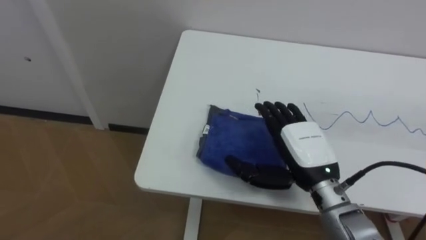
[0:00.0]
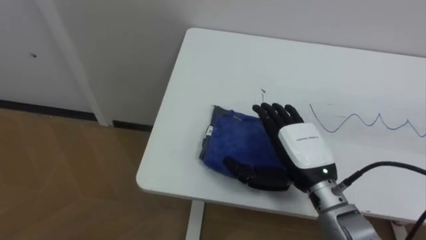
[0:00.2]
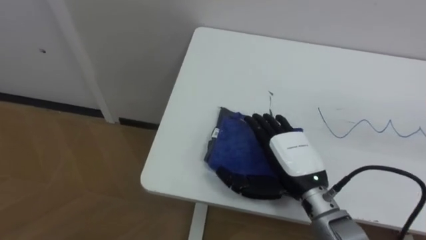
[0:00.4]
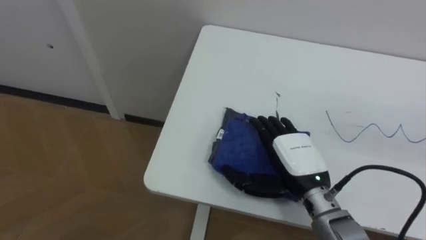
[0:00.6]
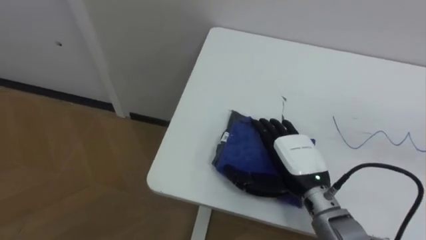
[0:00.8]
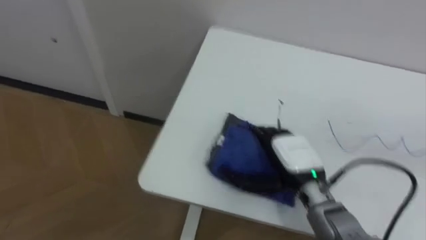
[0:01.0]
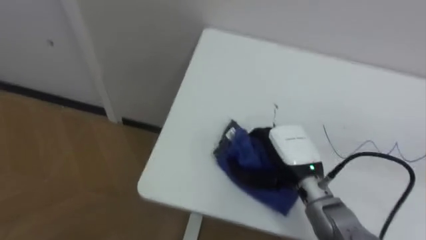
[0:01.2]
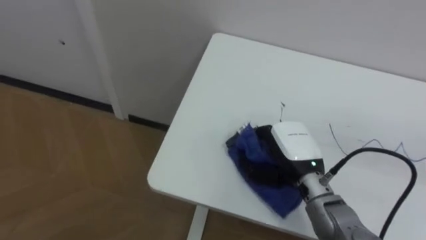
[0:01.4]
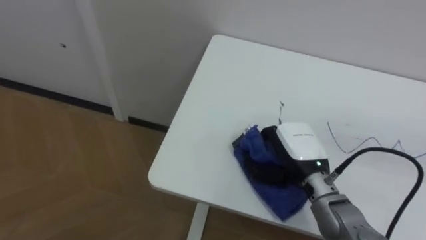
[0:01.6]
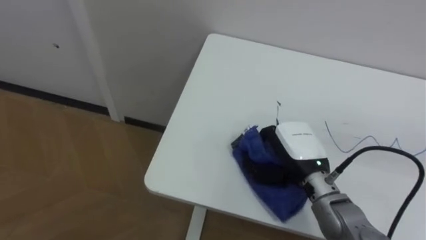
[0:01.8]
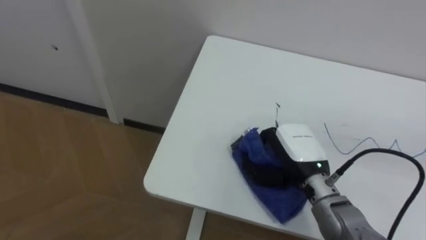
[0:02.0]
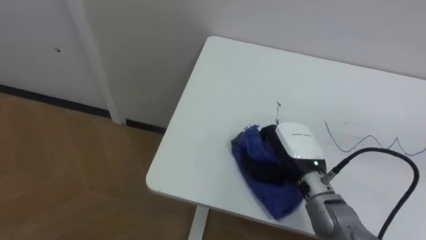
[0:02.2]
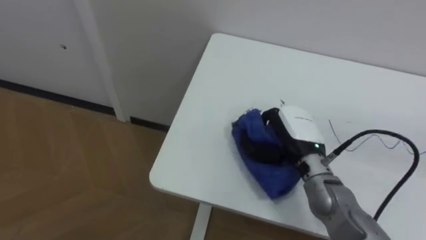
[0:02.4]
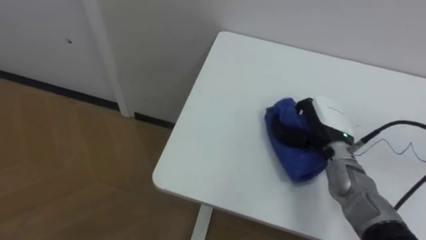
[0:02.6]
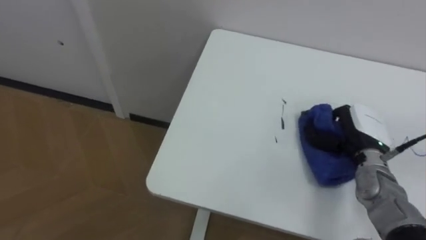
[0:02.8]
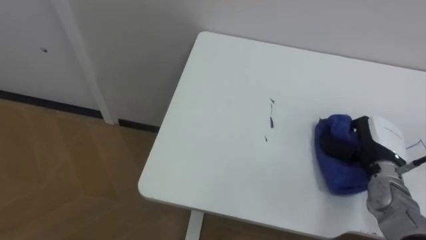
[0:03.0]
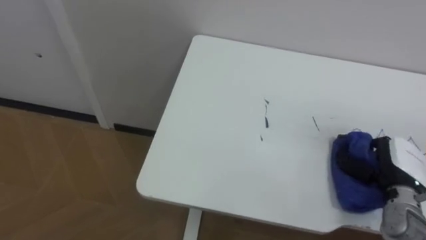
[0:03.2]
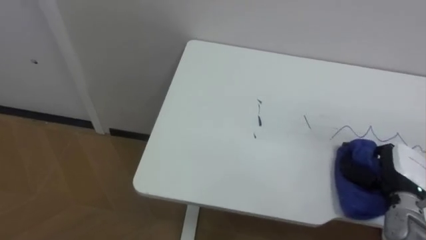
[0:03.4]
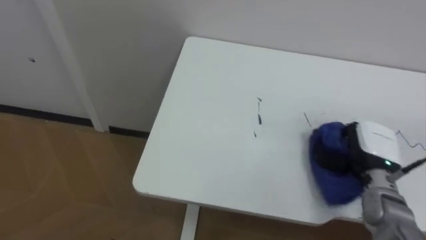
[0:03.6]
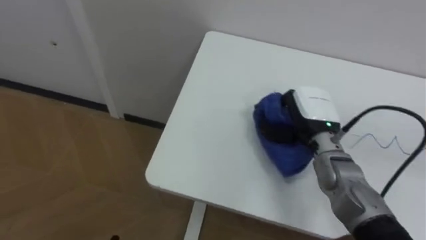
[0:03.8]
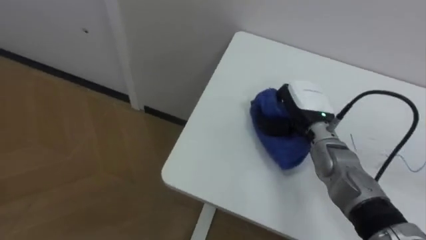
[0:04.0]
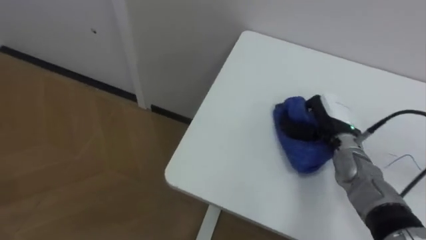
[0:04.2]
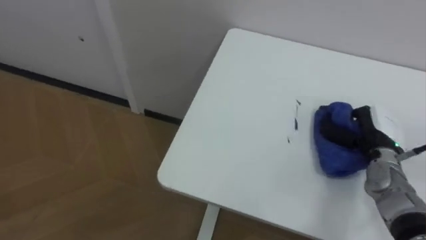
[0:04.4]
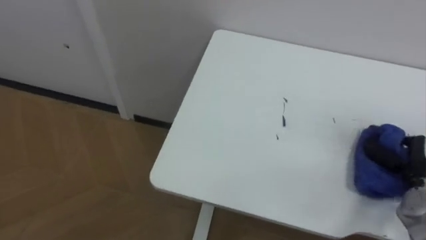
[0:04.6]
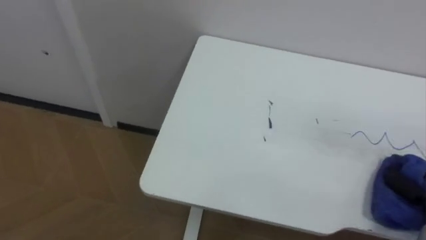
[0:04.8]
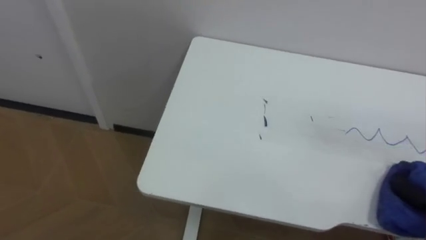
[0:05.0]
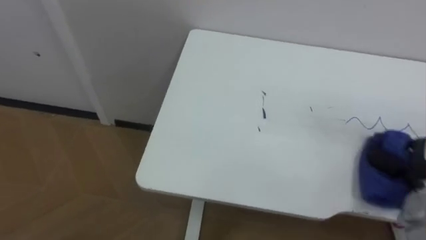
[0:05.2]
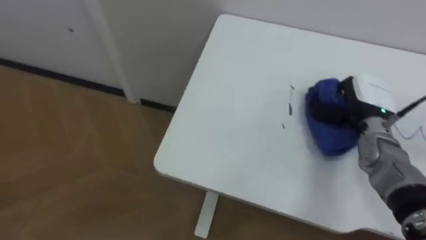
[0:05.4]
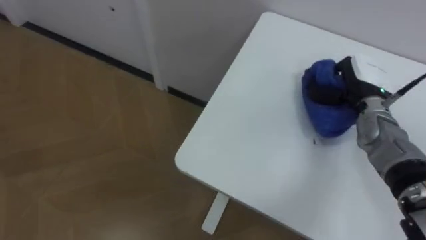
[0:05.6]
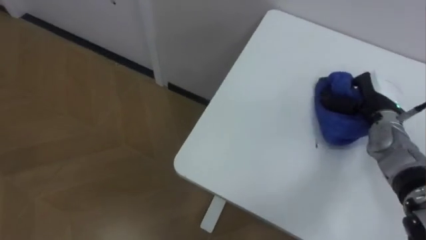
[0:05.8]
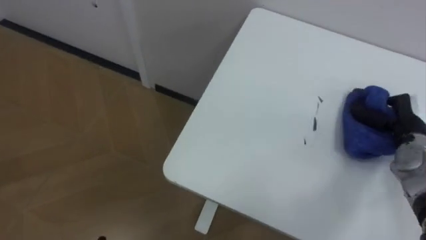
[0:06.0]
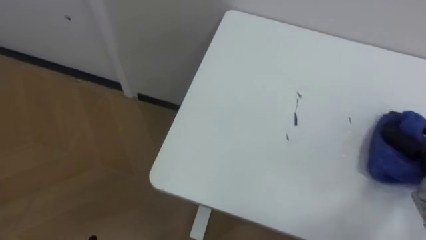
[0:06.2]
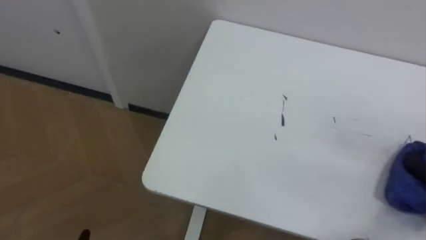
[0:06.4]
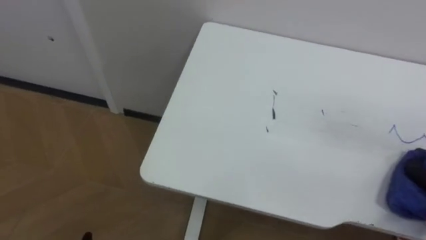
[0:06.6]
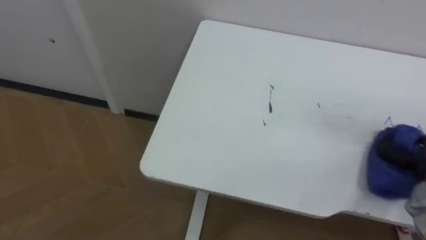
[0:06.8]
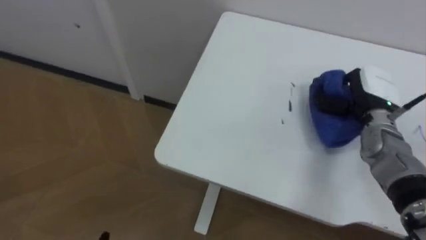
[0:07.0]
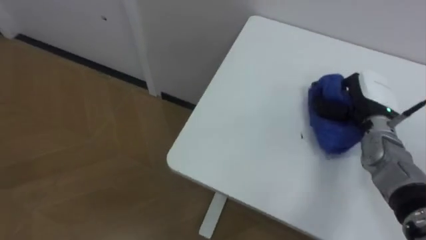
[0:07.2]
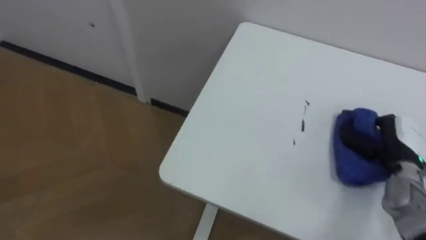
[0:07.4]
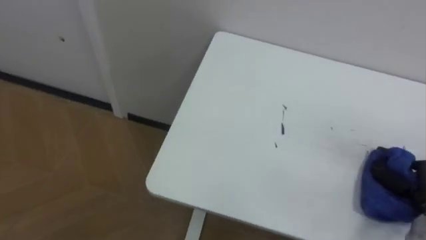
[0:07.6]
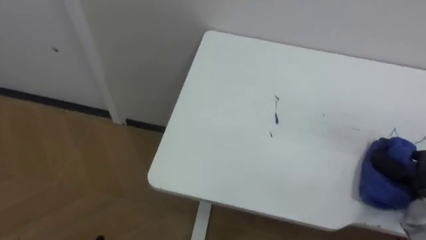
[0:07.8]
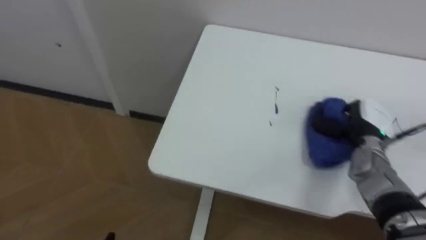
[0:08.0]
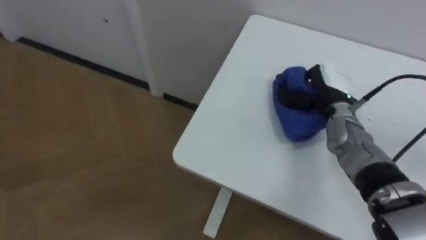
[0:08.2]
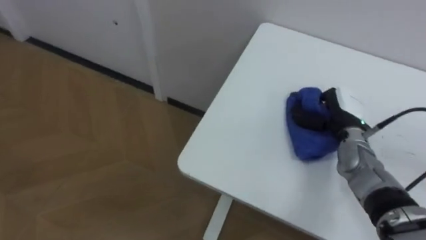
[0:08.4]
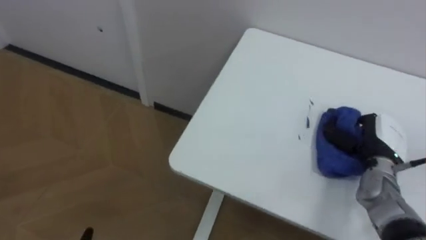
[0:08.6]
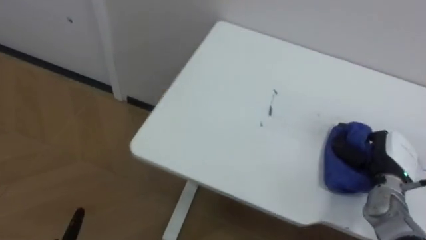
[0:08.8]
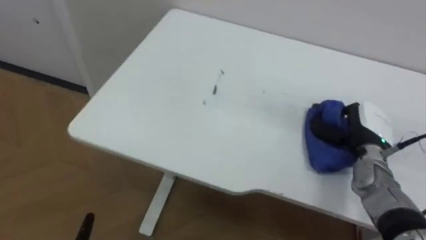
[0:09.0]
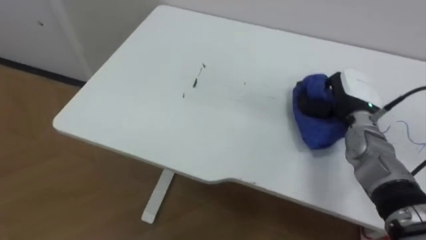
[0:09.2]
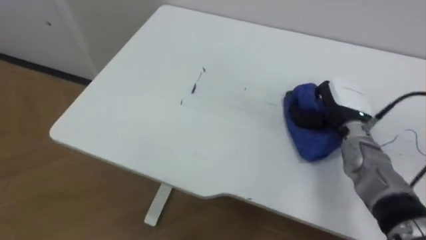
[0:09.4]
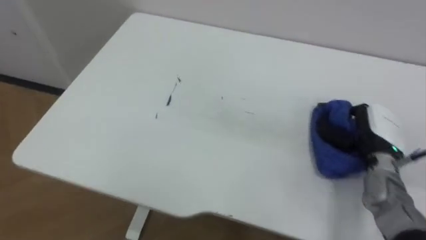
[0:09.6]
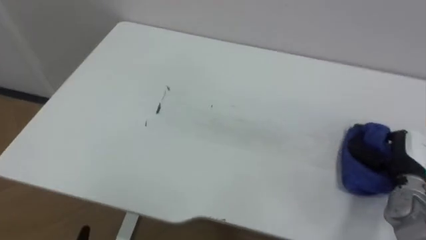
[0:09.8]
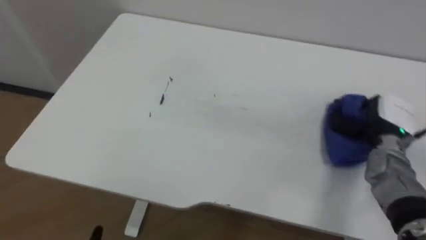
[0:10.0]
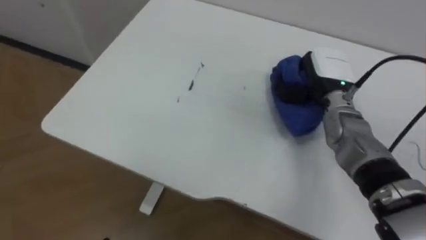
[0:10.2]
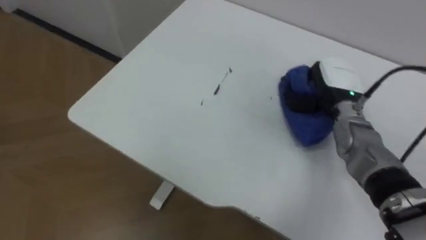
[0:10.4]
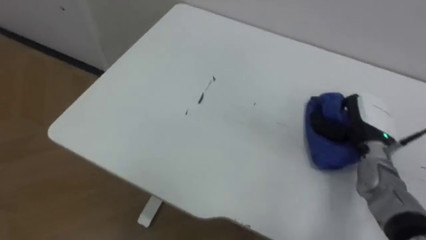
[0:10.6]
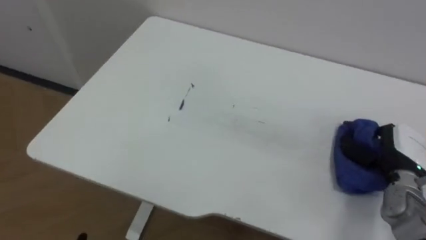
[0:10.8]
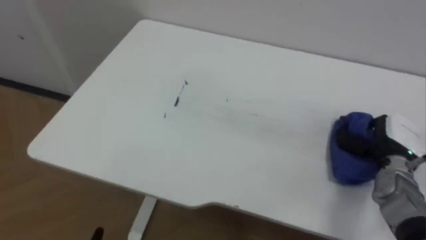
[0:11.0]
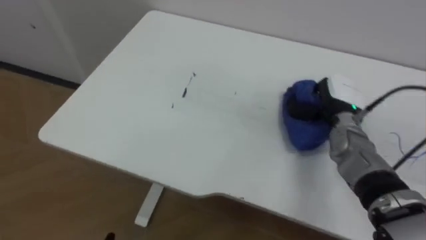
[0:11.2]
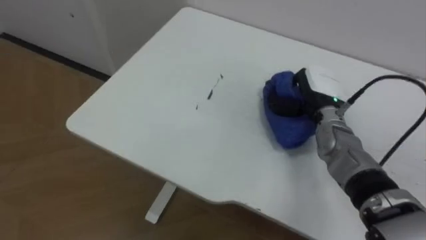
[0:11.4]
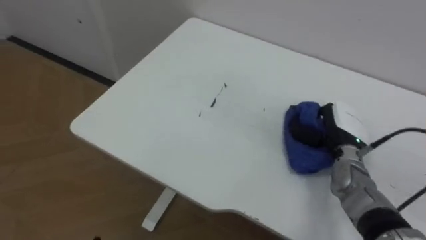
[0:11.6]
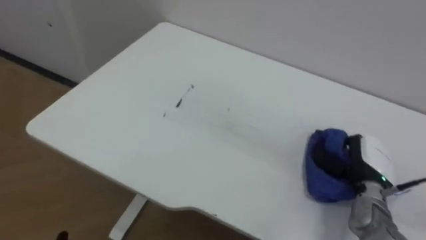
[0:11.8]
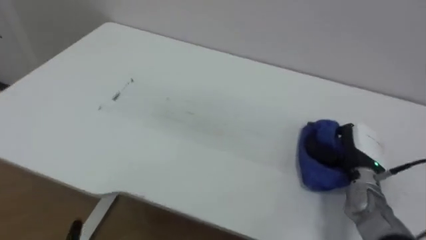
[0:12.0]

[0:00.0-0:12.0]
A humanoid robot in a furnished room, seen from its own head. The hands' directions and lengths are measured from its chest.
Task of the whole recording: Wipe the blue pen marks off the table with the rag.
0:00.0 to 0:01.6: The right hand closes up.
0:01.6 to 0:03.0: The right hand is displaced to the right by about 15 cm.
0:03.0 to 0:04.4: The right hand moves some 15 cm to the left and comes back.
0:09.0 to 0:10.4: The right hand swings left and right, approximately 15 cm each way, with 2 reversals.
0:10.4 to 0:12.0: The right hand swings left and right, some 15 cm each way, with 2 reversals.

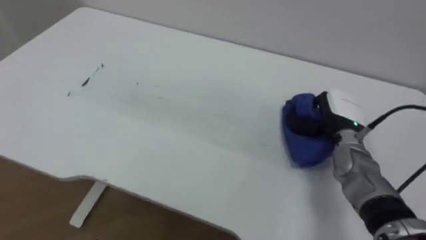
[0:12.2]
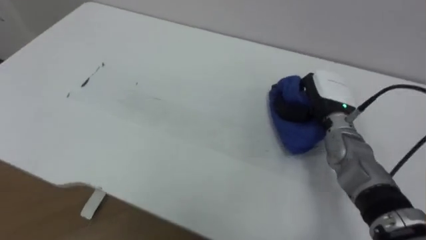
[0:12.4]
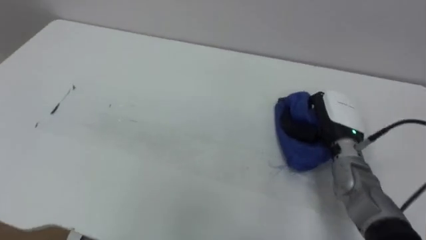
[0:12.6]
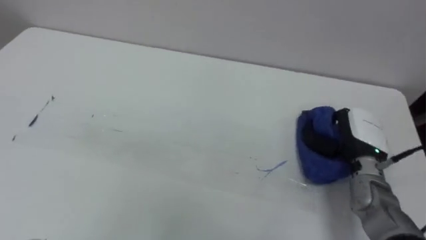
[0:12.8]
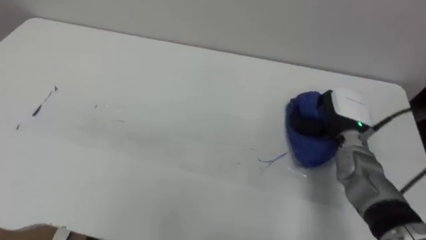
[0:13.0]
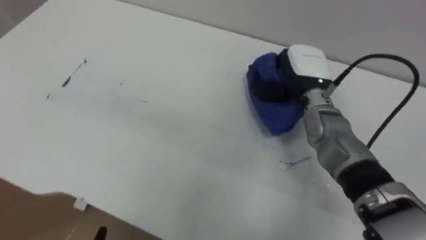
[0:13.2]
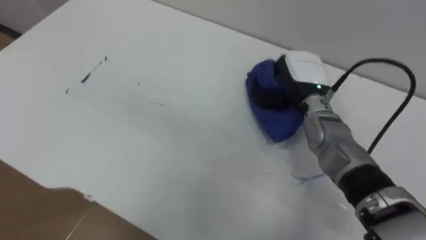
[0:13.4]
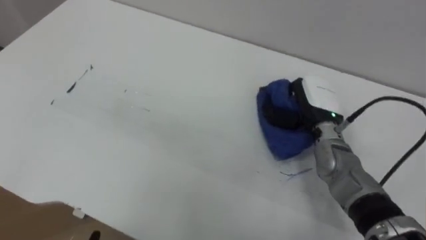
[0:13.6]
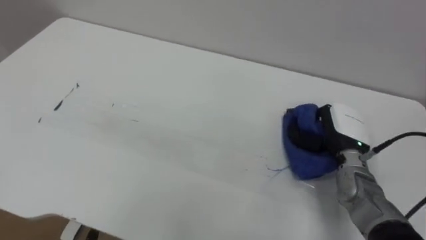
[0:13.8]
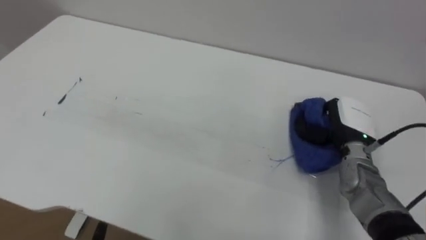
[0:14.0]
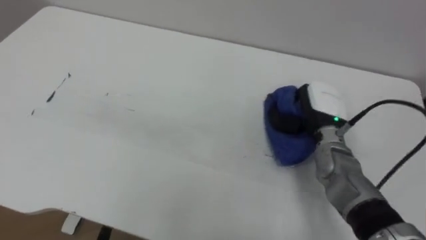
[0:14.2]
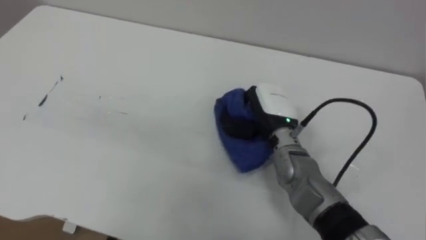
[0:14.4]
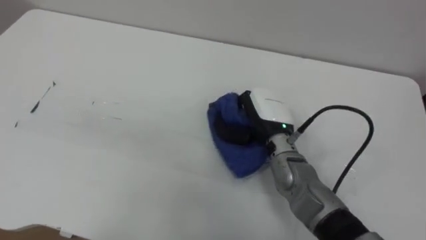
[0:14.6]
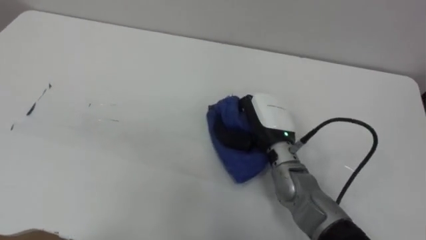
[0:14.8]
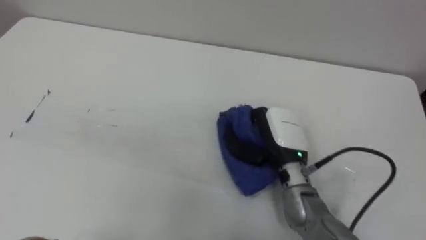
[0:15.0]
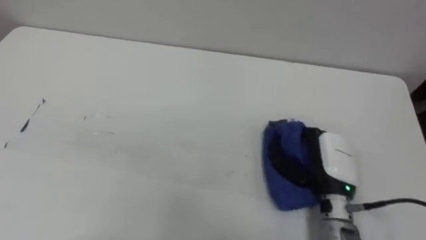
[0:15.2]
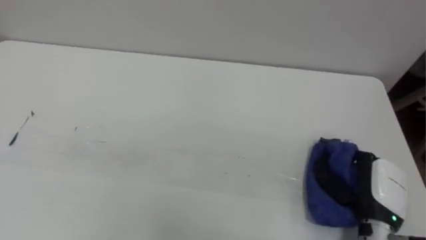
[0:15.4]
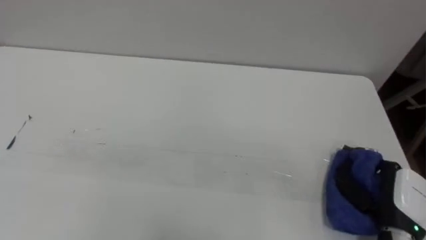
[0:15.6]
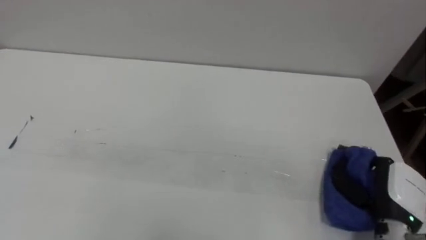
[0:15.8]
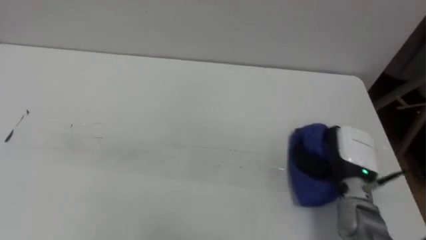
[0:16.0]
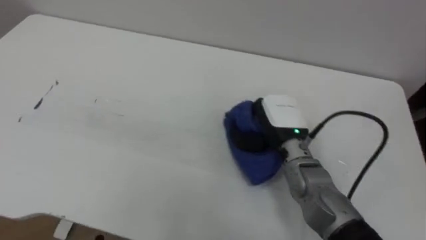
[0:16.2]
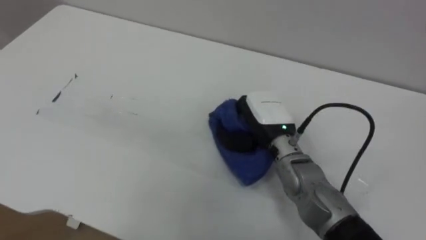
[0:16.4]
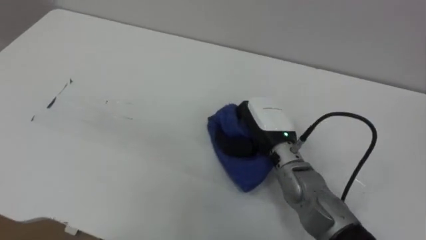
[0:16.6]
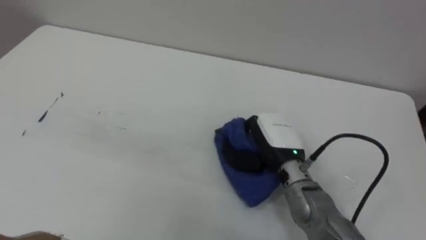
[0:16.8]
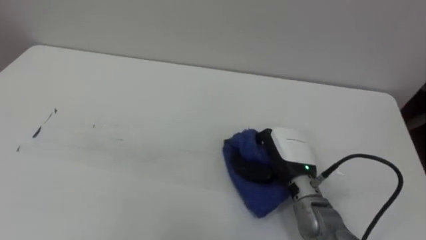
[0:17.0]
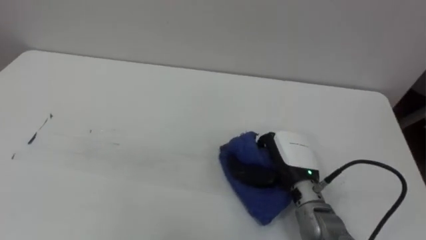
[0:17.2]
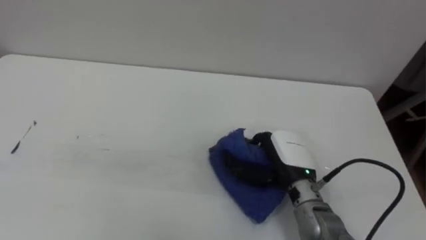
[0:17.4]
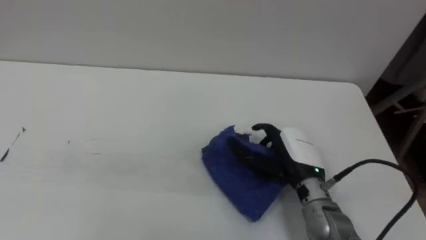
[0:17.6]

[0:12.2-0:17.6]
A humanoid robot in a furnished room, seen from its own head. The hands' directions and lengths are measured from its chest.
Task of the whole recording: Wipe the blue pen marks off the table with the rag.
0:13.6 to 0:15.0: The right hand travels to the left and backward by some 10 cm.
0:15.0 to 0:16.2: The right hand goes to the right and returns, some 20 cm each way.
0:16.2 to 0:17.6: The right hand heads backward, covering about 5 cm, and opens its fingers.
